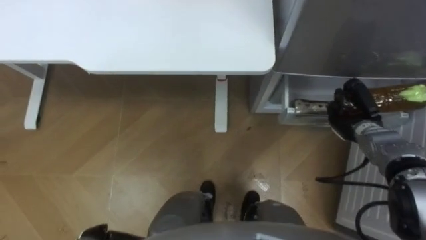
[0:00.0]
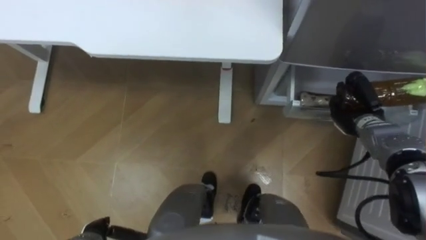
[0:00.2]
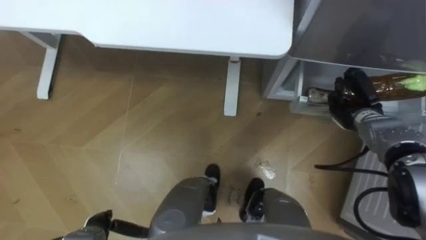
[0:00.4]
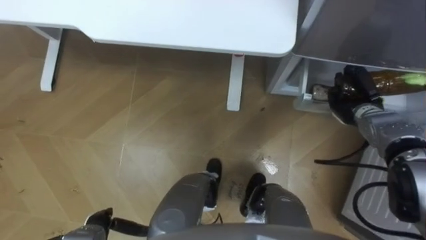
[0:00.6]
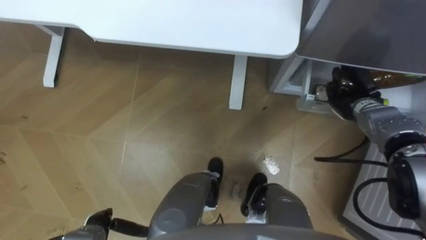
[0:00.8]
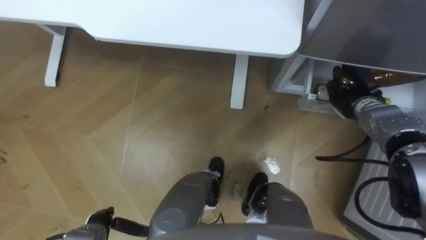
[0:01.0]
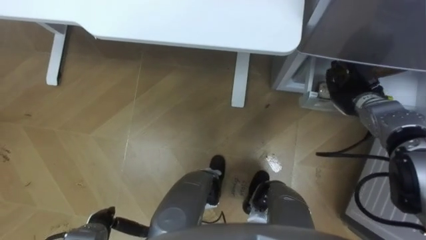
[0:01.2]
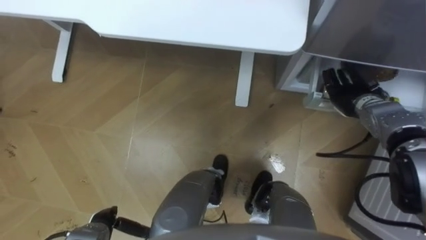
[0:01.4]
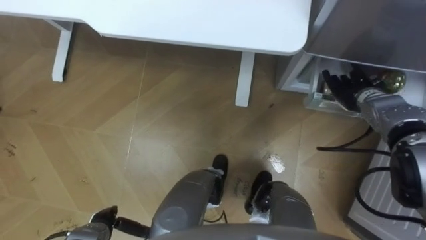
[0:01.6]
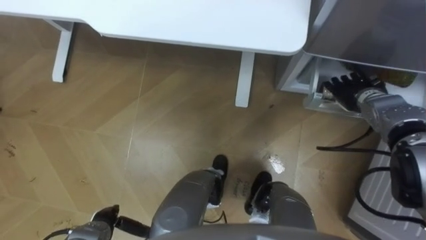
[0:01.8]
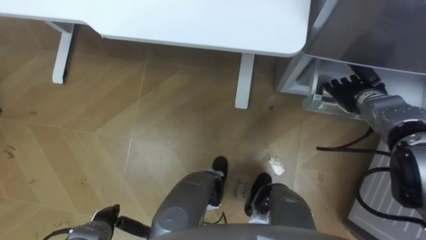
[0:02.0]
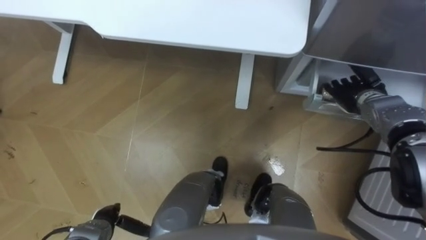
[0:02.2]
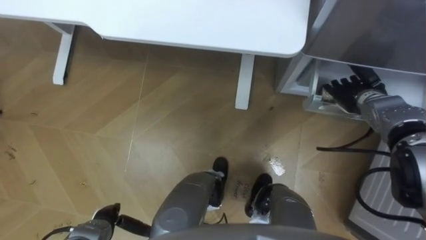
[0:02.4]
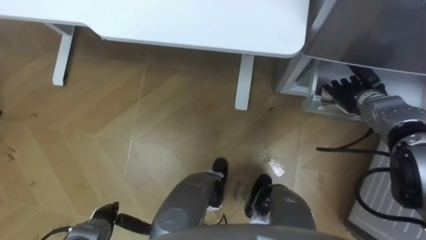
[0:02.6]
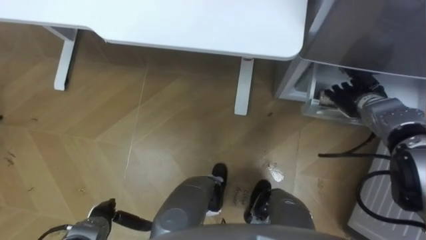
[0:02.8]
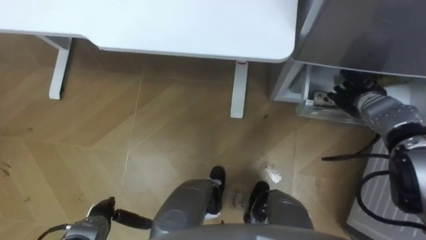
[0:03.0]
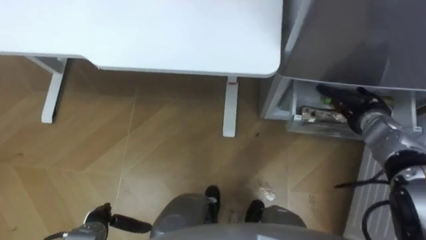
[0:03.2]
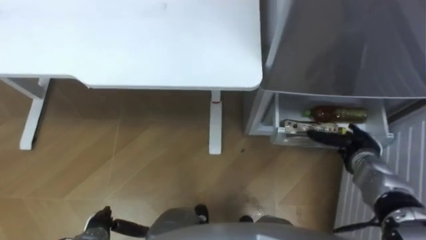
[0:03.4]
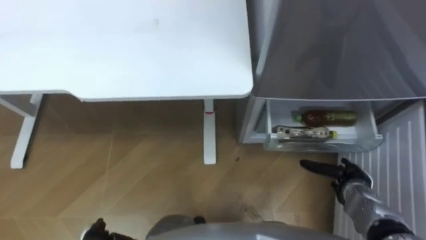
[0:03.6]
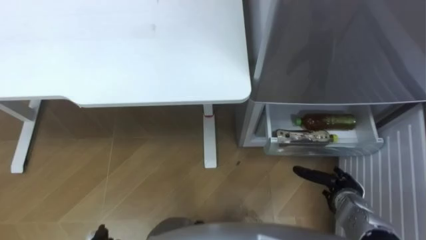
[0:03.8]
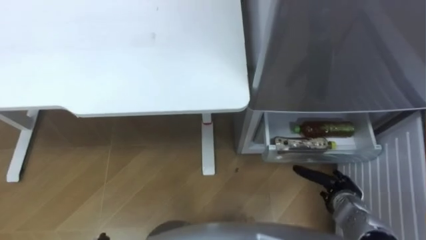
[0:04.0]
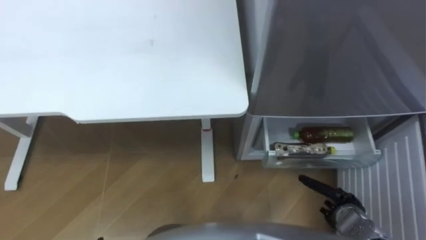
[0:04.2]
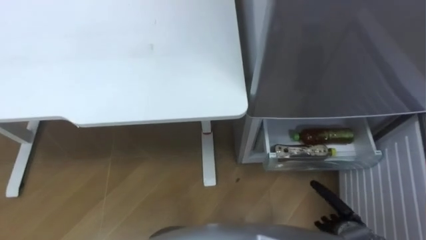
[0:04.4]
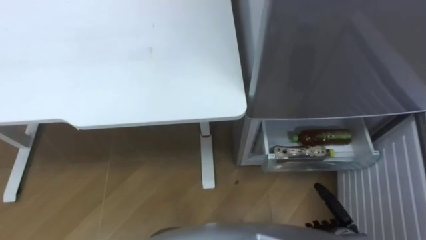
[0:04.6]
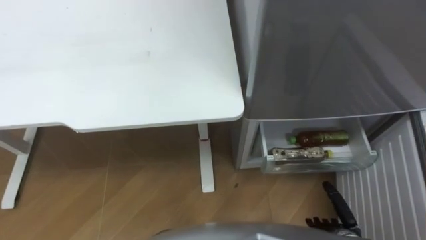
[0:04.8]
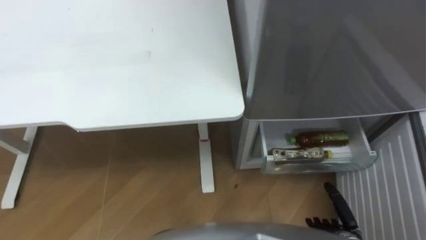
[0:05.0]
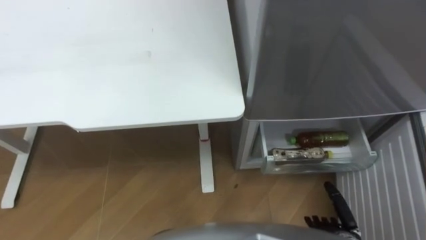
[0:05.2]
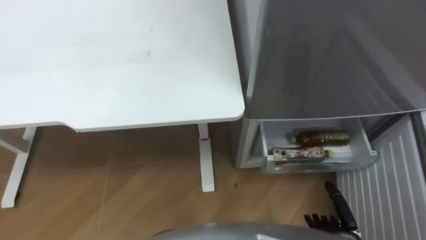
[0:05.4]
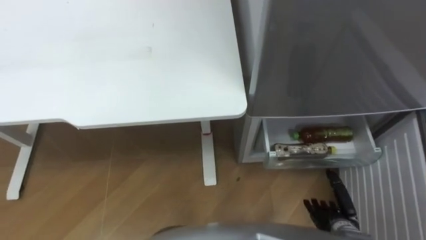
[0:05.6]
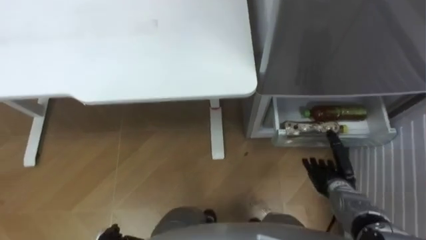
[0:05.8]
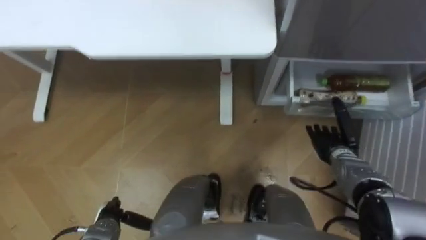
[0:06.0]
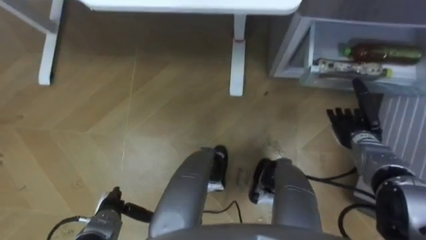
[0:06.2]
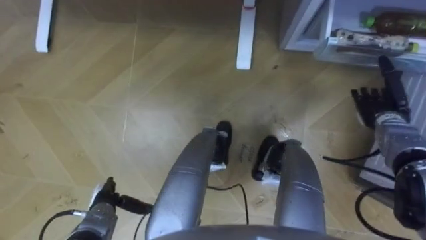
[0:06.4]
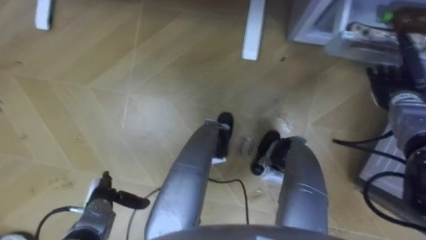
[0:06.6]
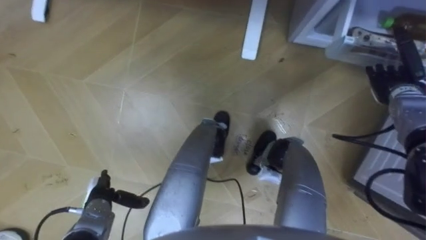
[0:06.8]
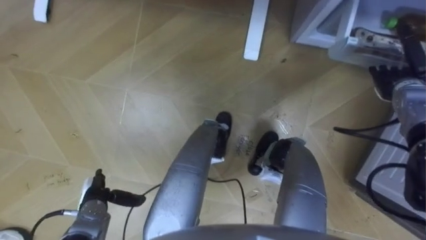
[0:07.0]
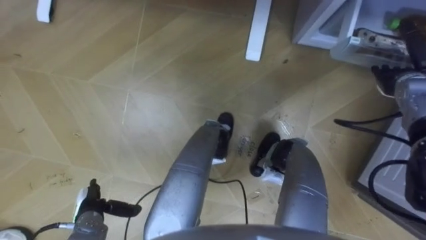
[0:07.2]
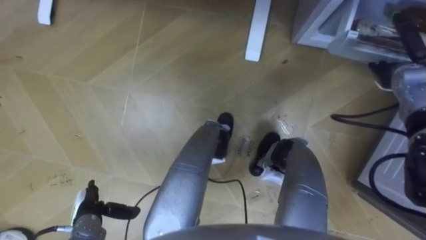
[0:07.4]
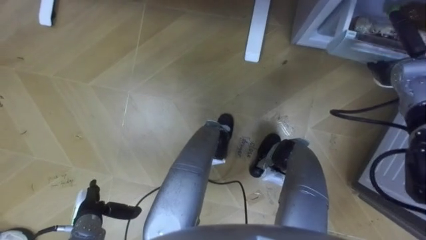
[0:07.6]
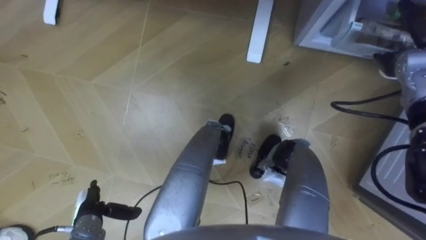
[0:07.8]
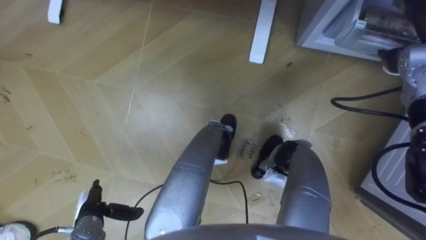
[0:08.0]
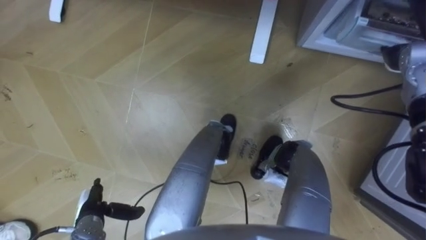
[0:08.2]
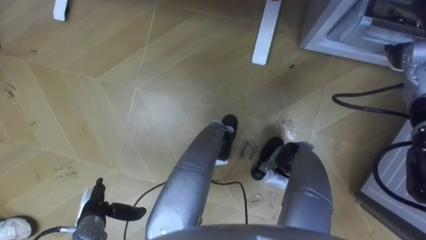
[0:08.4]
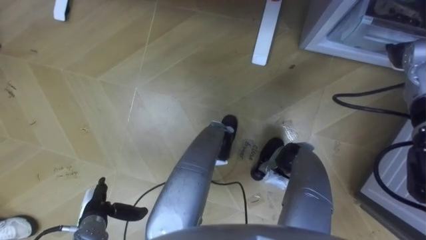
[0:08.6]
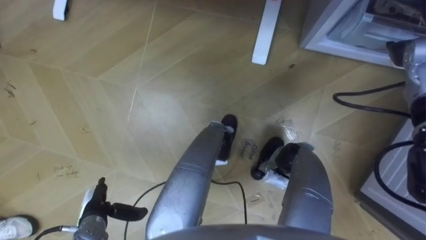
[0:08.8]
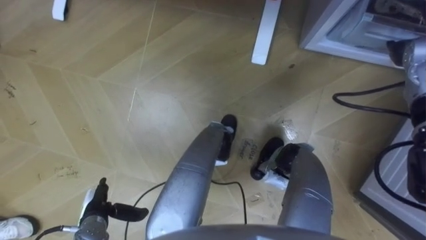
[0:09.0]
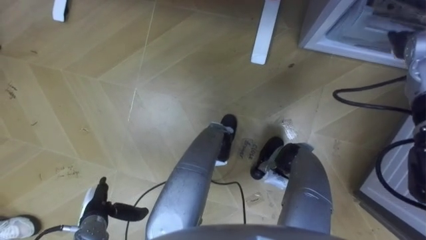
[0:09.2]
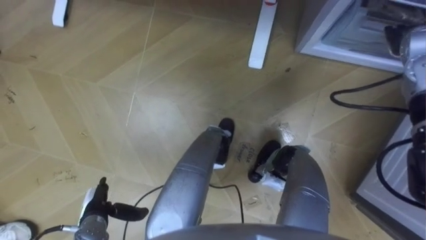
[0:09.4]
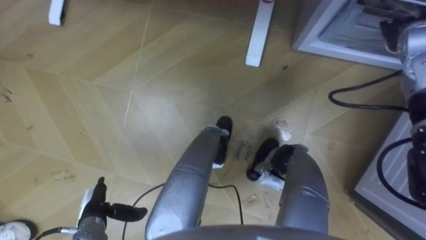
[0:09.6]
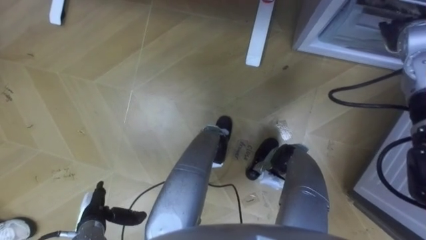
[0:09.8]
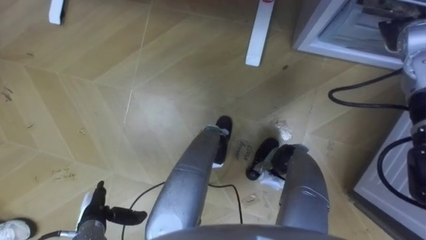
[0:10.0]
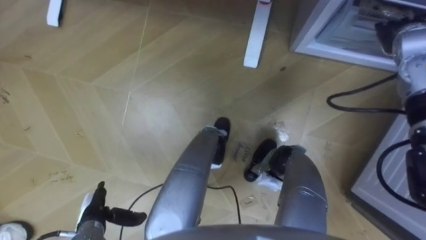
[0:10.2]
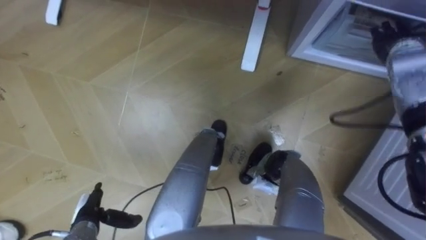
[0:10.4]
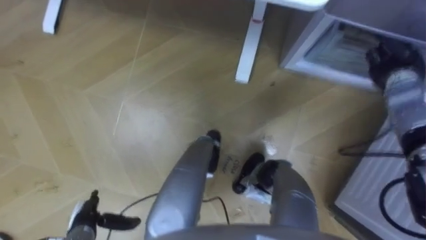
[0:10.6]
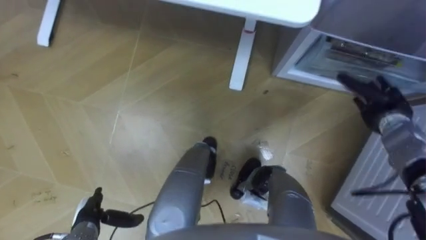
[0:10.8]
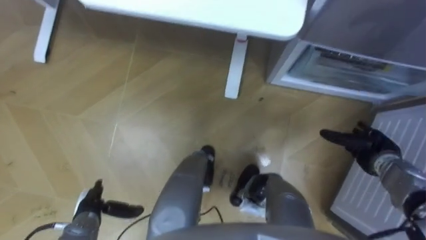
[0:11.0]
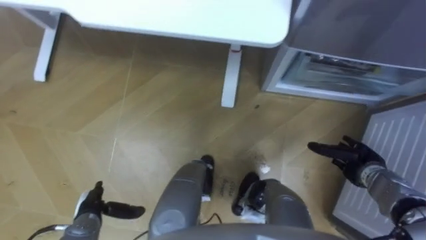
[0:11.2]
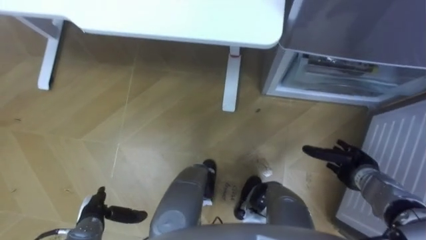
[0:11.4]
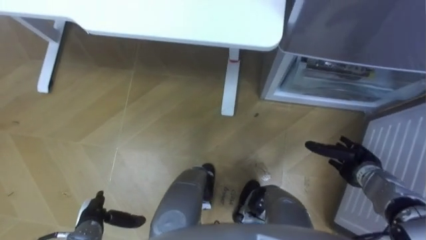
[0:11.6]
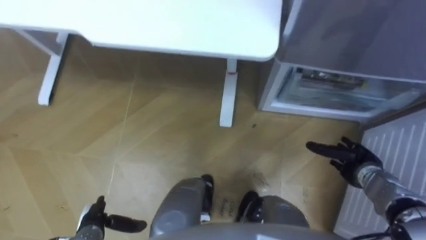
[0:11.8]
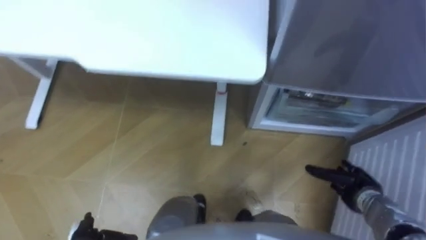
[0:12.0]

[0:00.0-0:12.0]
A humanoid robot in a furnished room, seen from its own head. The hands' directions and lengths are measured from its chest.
Task of the whole recording: Place the drink on the table on the bottom shelf of the refrigerator, then close the drawer and the refrigerator door.
0:00.0 to 0:01.6: The right hand travels forward by some 5 cm, and opens up.
0:03.0 to 0:04.4: The right hand goes some 30 cm backward and downward.
0:04.4 to 0:06.0: The right hand shifts roughly 15 cm forward.
0:06.0 to 0:07.6: The right hand goes about 20 cm upward, forward and to the right; the left hand changes place by roughly 5 cm.
0:10.4 to 0:12.0: The right hand goes about 30 cm backward and downward.

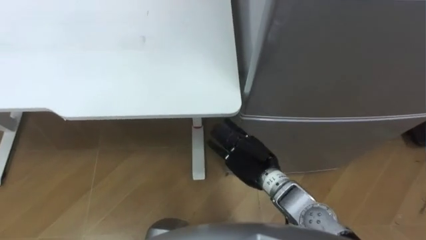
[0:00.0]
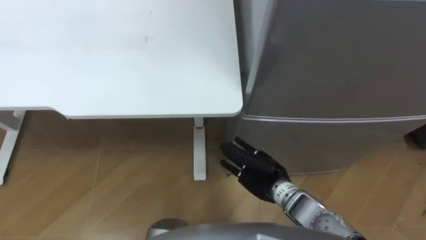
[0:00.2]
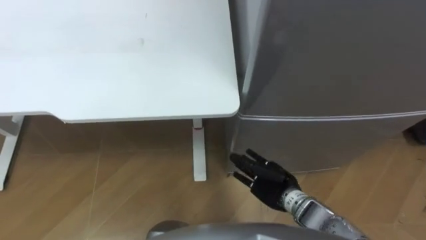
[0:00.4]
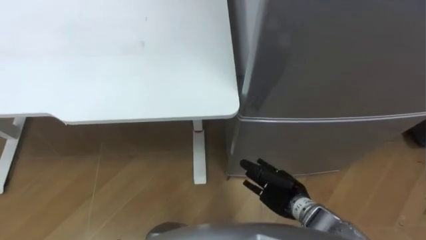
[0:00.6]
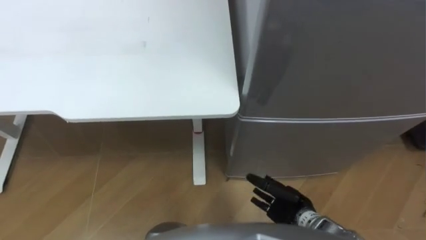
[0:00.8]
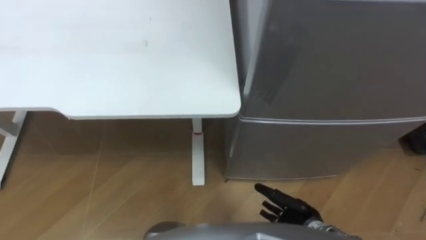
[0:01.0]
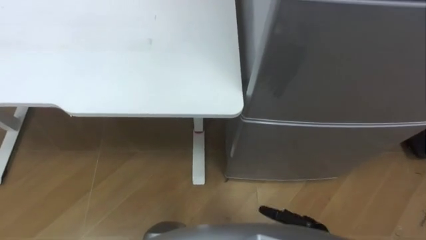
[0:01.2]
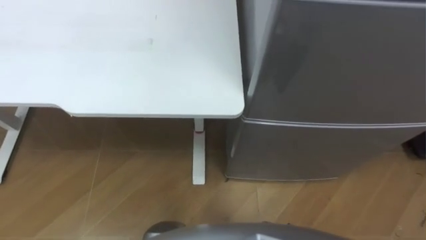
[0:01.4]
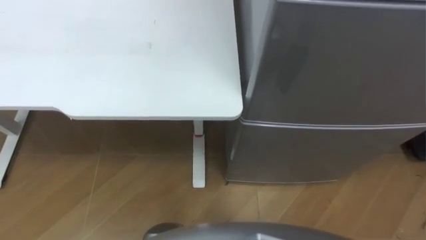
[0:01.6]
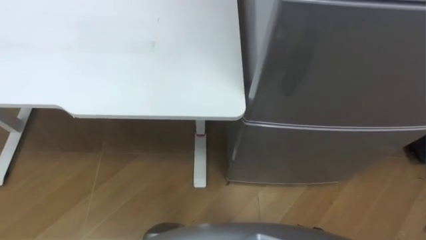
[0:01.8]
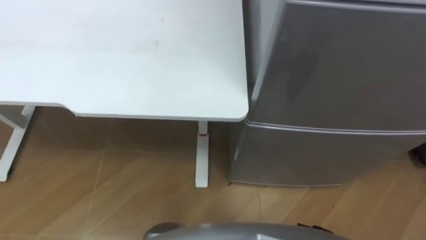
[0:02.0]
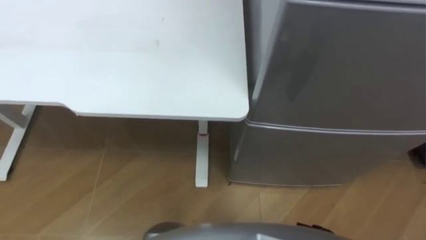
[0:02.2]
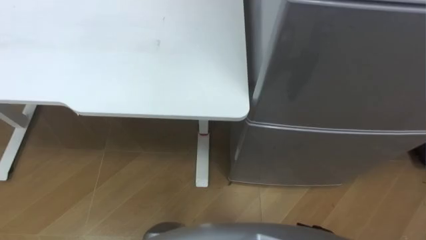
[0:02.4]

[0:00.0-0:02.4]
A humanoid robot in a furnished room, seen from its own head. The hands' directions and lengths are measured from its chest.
Task of the whole recording: Place the drink on the table on the bottom shelf of the refrigerator, then close the drawer and the refrigerator door.
0:00.0 to 0:01.2: The right hand goes some 20 cm backward, downward and to the right.

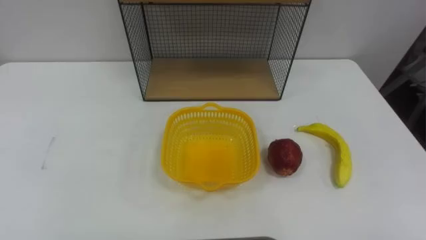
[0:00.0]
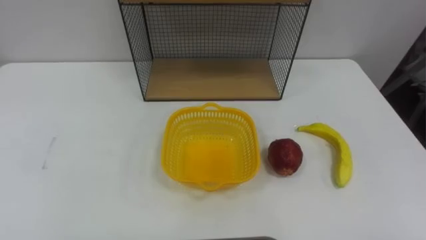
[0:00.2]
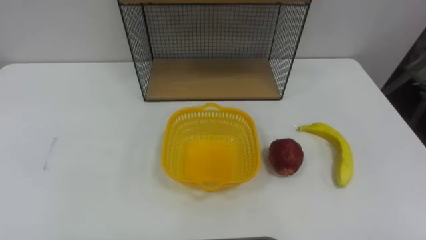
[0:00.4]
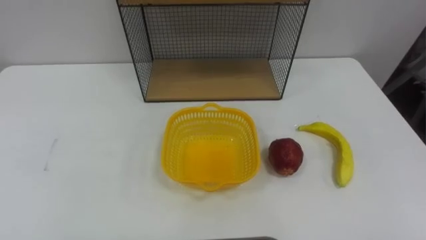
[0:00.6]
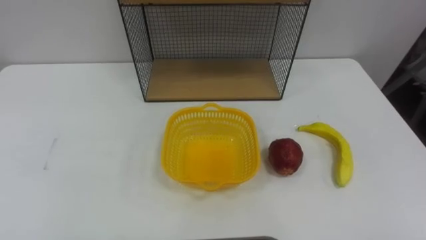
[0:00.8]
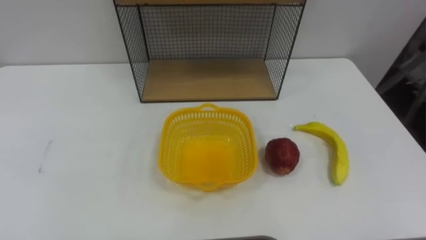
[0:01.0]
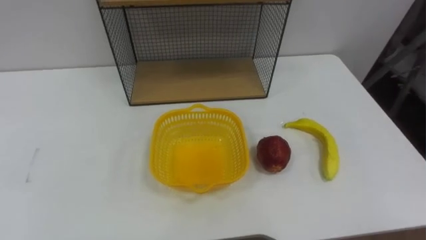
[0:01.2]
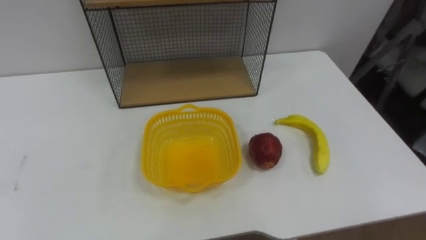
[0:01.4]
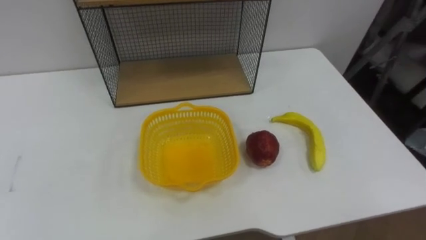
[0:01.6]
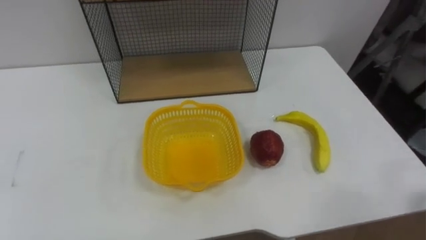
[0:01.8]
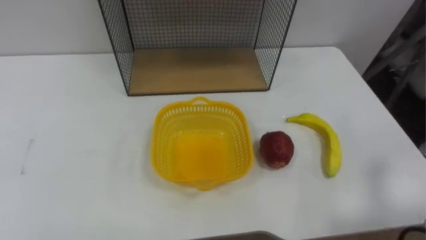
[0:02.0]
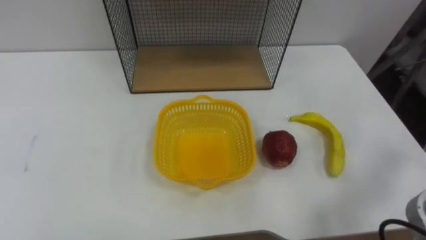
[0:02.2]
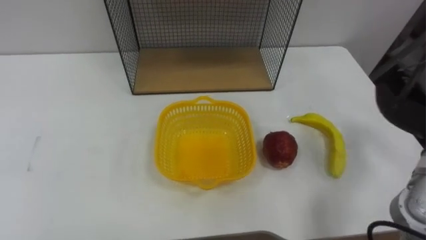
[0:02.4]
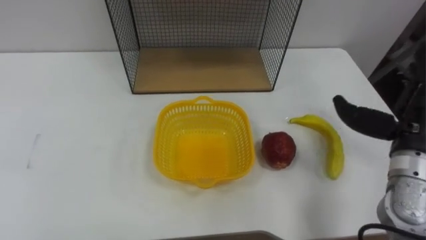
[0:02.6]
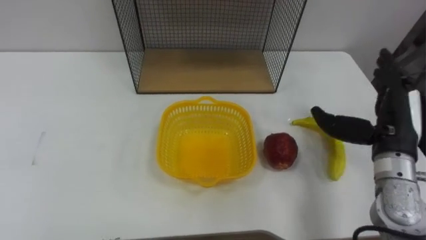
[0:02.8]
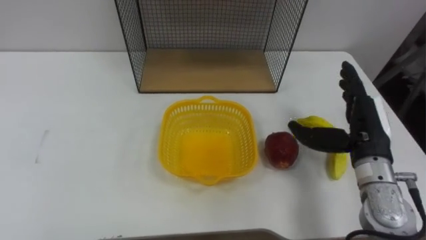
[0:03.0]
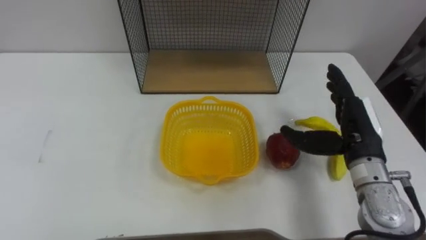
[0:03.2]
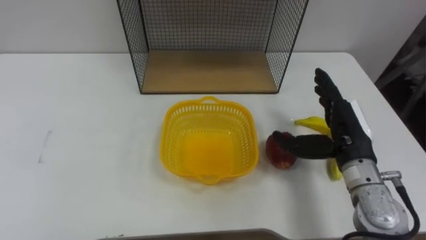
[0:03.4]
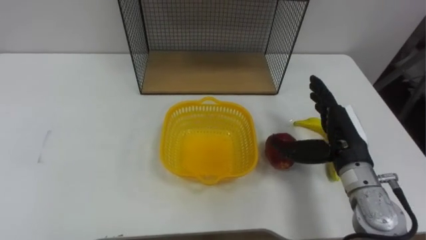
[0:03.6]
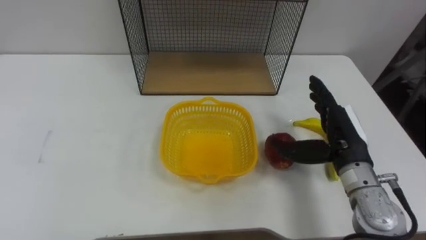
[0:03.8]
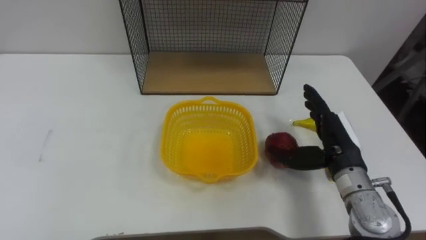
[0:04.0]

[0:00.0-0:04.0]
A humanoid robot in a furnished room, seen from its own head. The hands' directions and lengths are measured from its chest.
Task of the whole recording: Put the fruit on the table into the basket, then place the basket on the shelf.
0:02.6 to 0:04.0: The right hand is displaced to the left and downward by roughly 10 cm.
